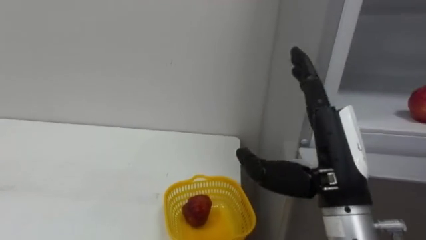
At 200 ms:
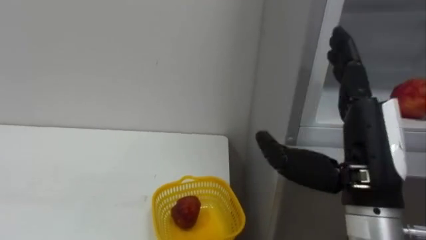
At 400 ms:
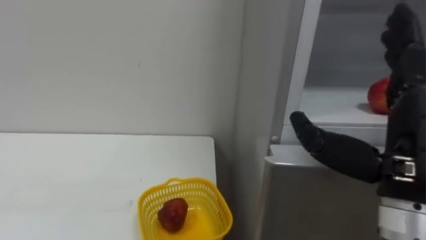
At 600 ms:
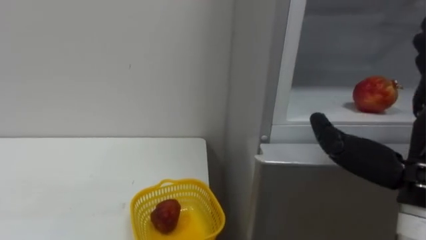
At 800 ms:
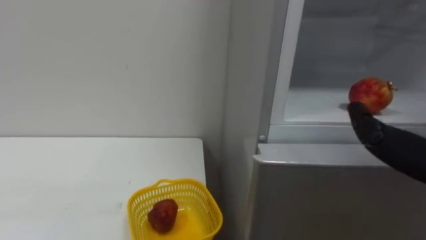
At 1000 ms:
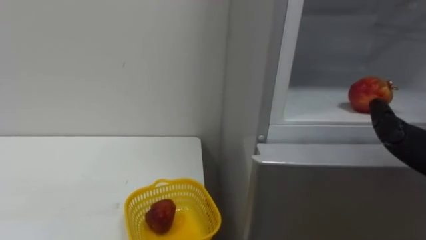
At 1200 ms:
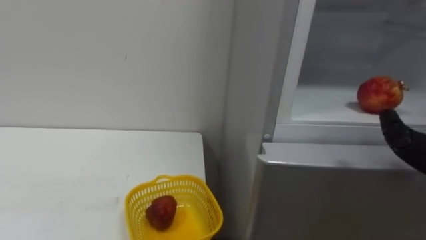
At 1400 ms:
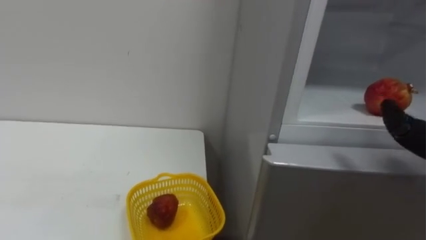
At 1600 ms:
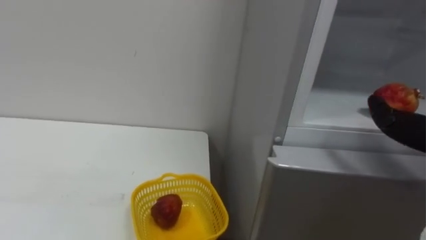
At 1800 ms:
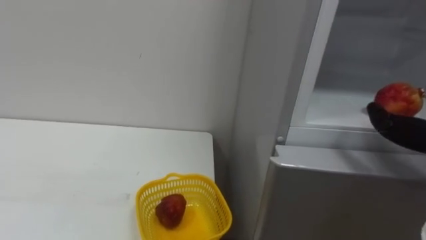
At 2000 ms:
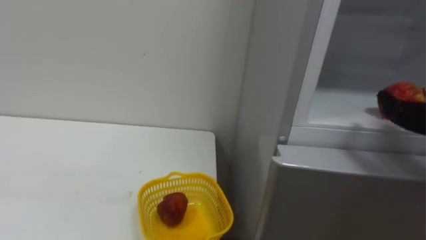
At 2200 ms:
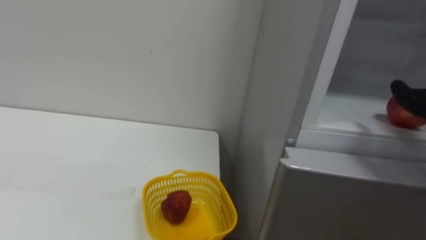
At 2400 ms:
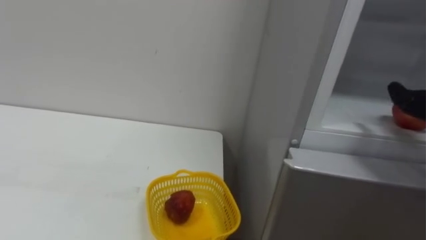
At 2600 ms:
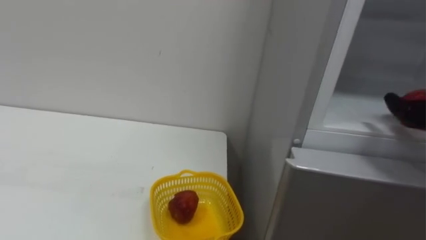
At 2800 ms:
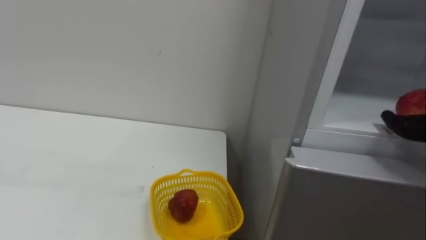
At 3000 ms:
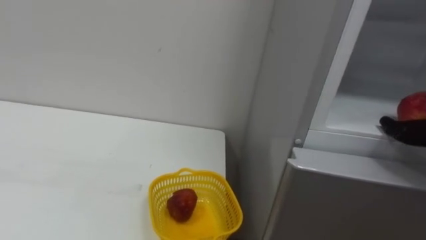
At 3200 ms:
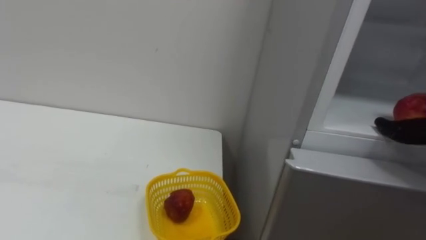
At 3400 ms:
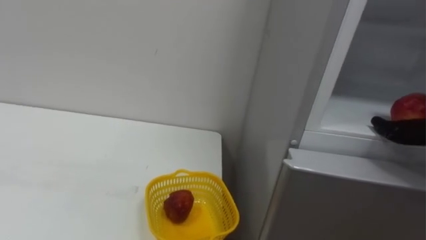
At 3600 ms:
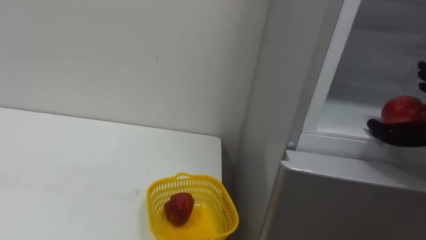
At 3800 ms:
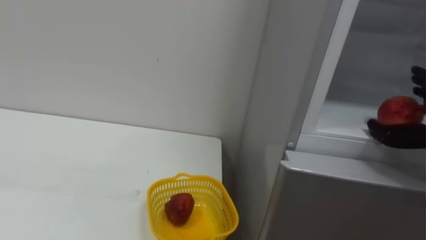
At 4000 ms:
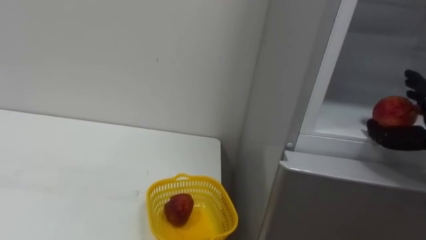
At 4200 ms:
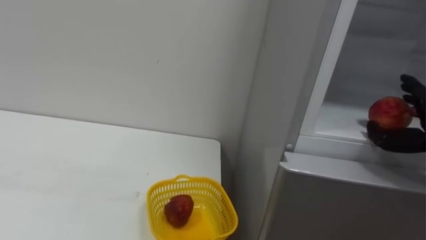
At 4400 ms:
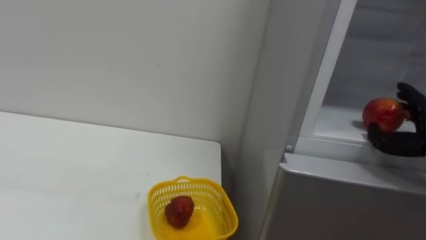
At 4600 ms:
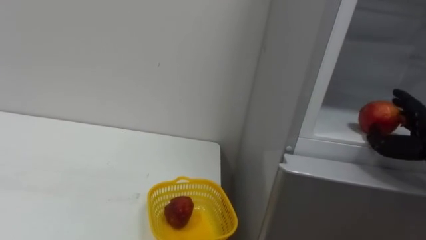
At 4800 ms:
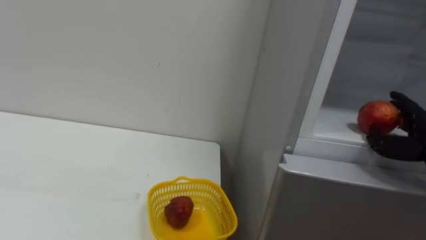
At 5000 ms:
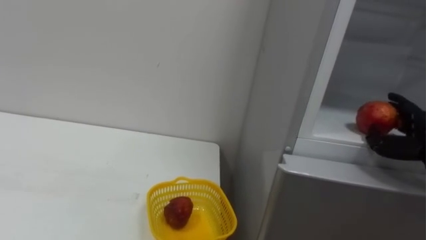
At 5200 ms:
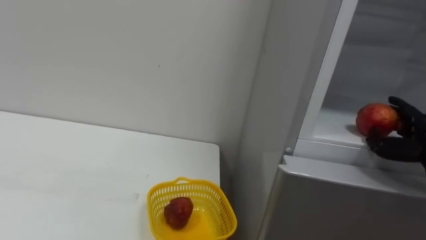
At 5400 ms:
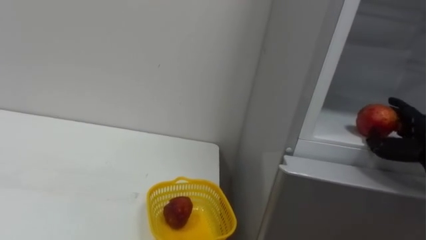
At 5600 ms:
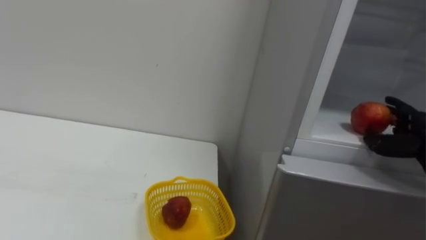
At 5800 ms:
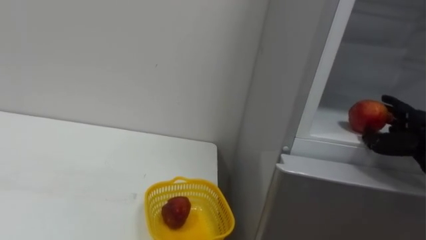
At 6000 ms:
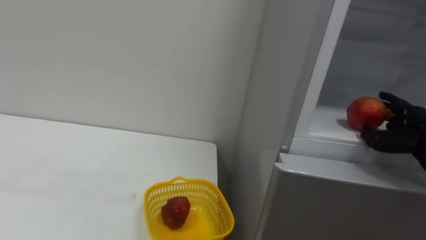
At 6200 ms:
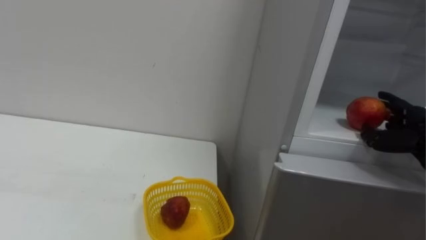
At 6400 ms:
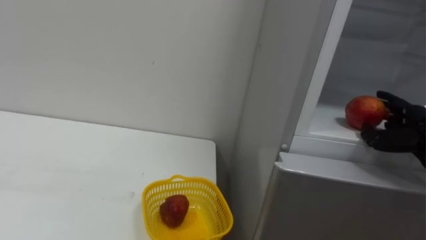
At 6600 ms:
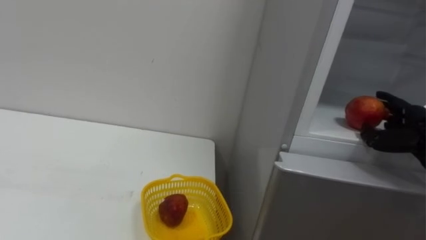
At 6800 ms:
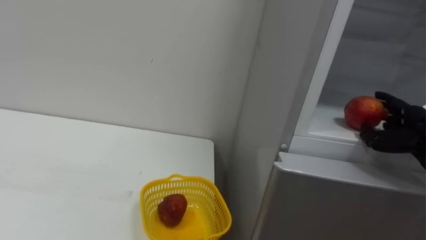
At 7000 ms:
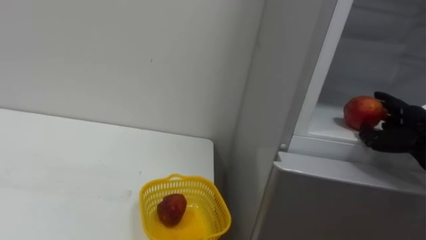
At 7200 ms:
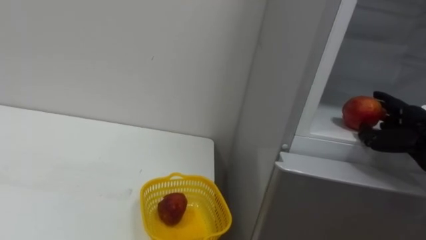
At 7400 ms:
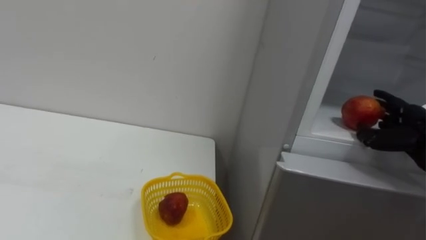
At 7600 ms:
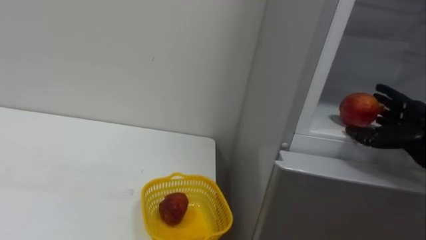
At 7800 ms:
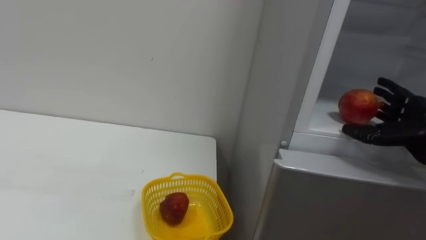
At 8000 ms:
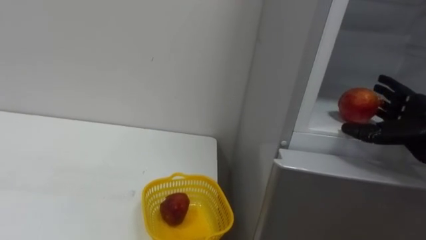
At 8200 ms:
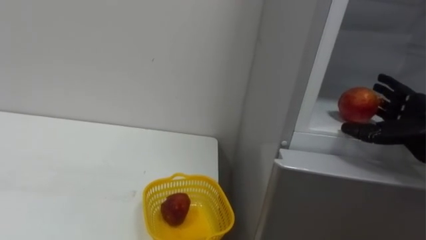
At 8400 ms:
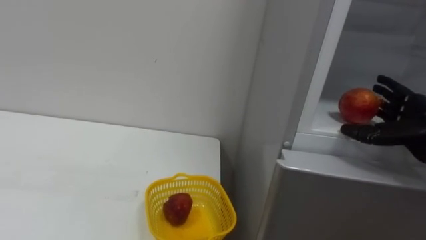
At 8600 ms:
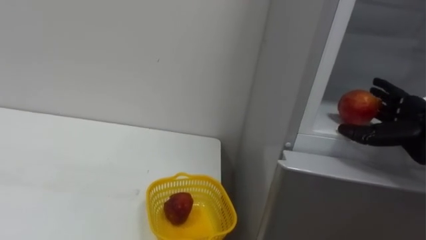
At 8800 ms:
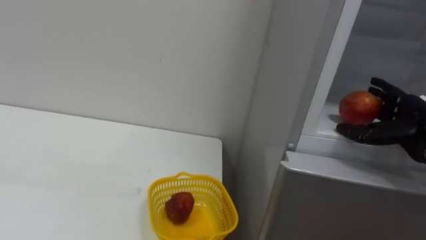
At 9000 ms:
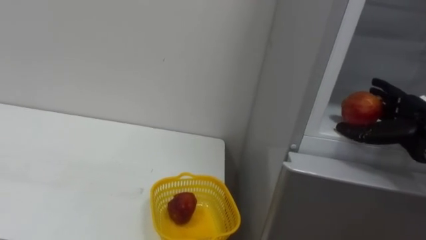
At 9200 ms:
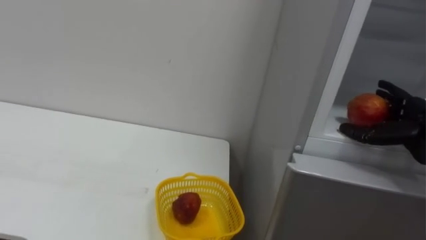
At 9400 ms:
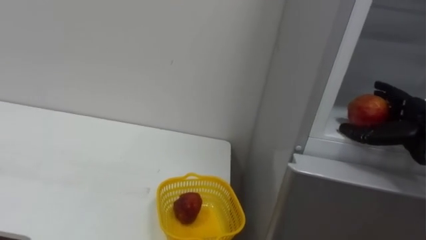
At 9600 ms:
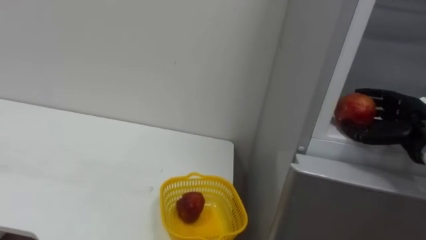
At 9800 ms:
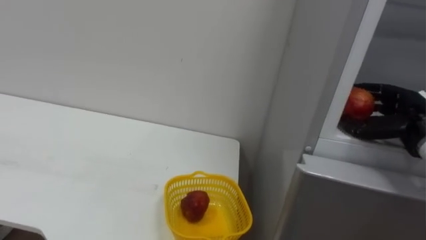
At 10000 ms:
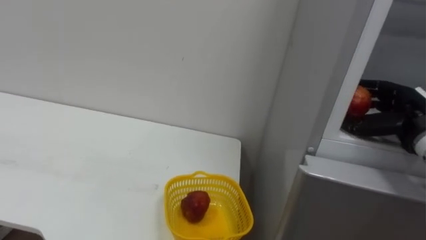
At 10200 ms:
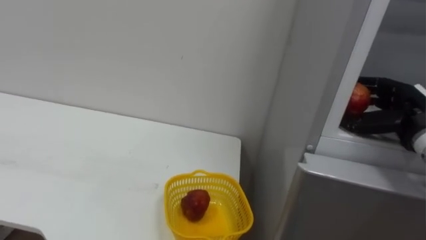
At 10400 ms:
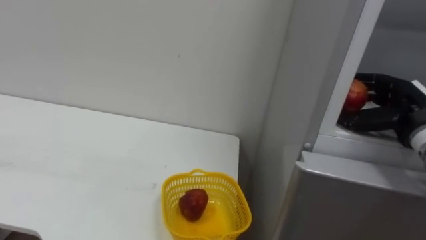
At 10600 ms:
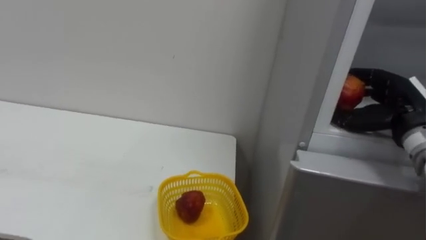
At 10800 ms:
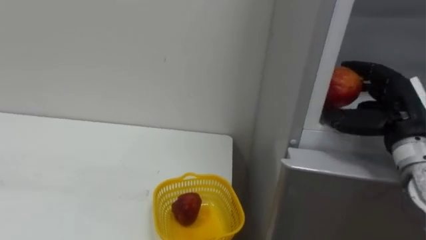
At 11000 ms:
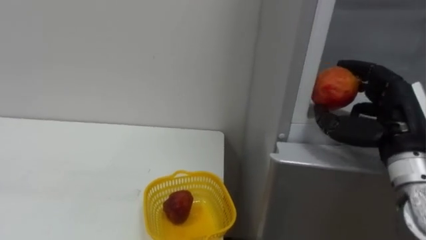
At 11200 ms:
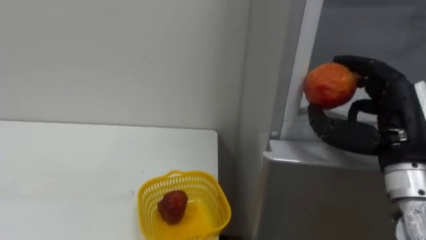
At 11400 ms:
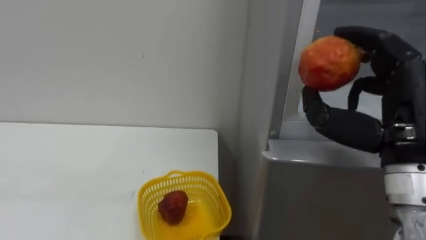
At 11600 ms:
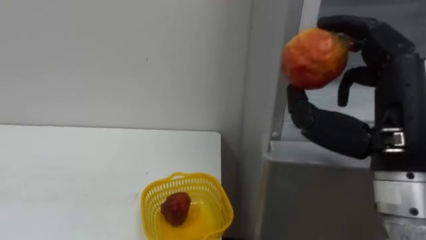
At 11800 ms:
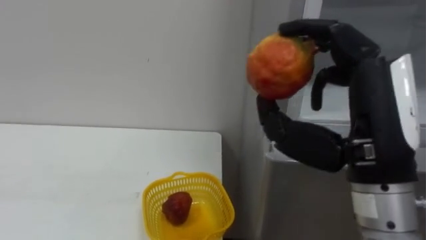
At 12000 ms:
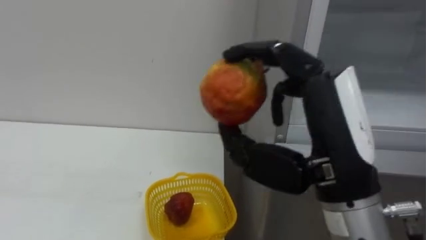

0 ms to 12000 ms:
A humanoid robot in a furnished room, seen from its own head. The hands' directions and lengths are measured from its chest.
Task of the whole recording: Open the refrigerator door, take out the apple and the pomegranate, place them in the fruit basket on the left, and close the refrigerator door.
9000 ms to 10400 ms: The right hand closes up.
10400 ms to 12000 ms: The right hand is displaced to the left, backward and upward by about 25 cm.

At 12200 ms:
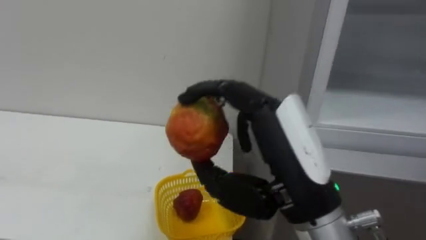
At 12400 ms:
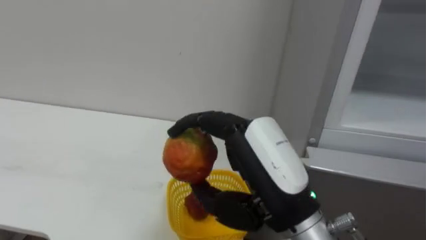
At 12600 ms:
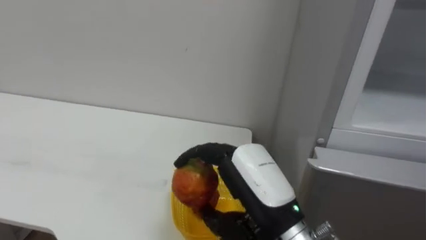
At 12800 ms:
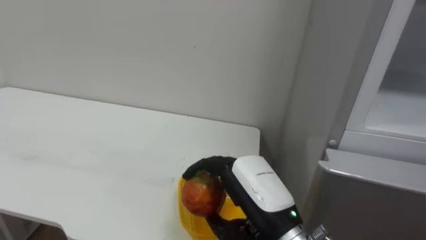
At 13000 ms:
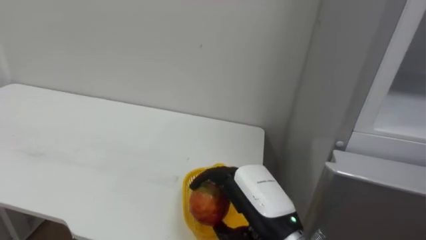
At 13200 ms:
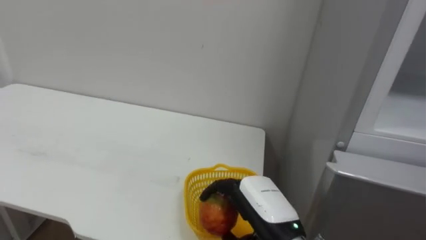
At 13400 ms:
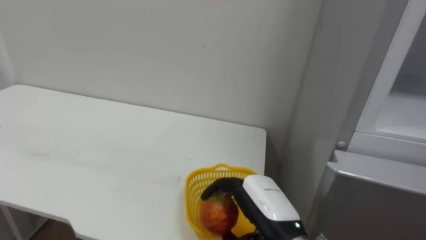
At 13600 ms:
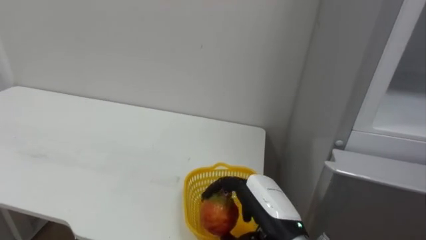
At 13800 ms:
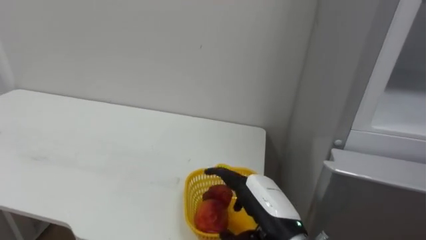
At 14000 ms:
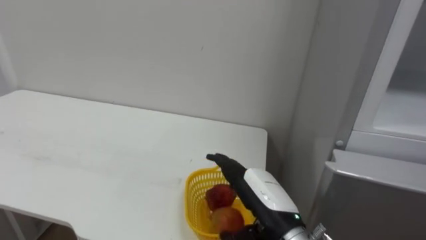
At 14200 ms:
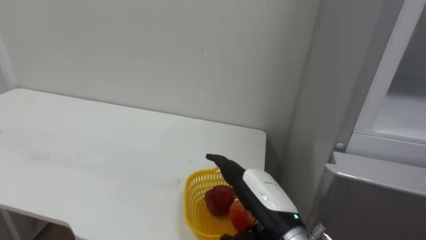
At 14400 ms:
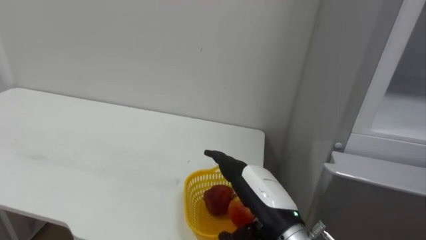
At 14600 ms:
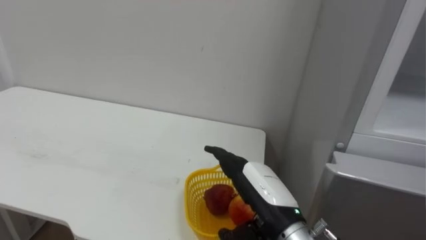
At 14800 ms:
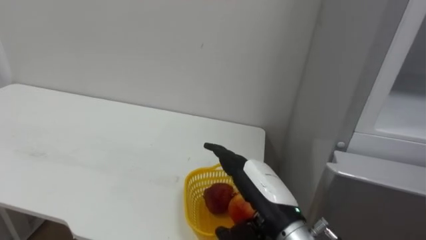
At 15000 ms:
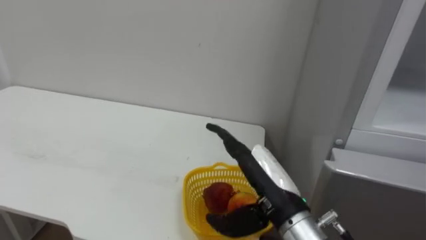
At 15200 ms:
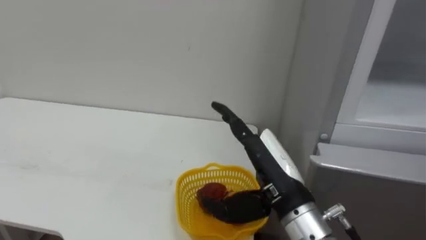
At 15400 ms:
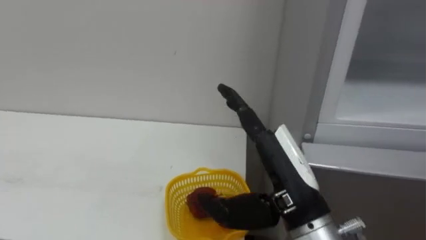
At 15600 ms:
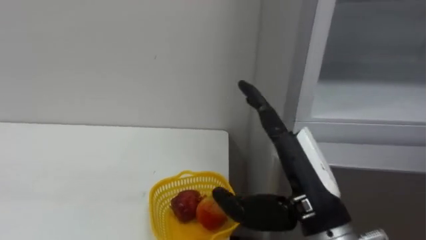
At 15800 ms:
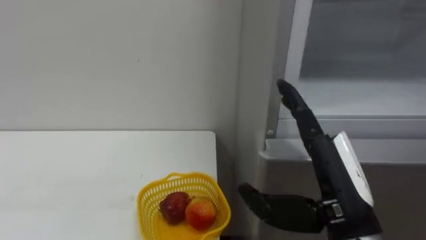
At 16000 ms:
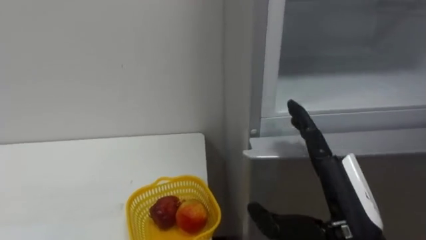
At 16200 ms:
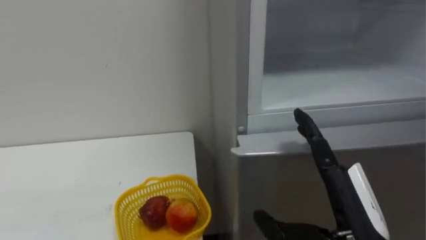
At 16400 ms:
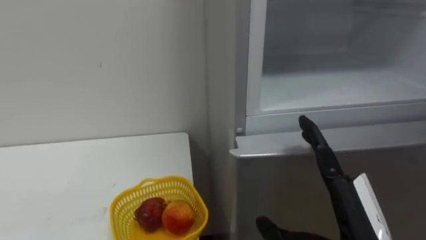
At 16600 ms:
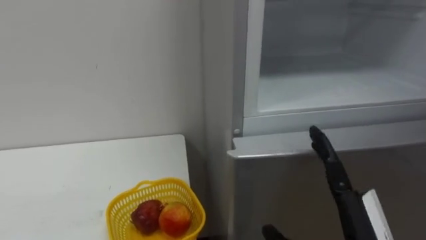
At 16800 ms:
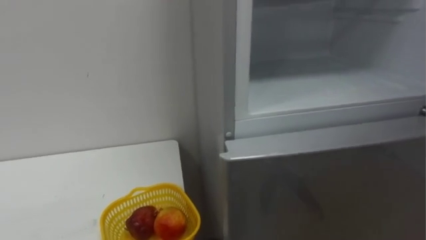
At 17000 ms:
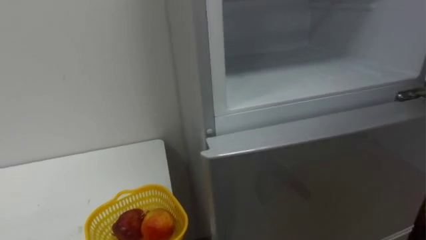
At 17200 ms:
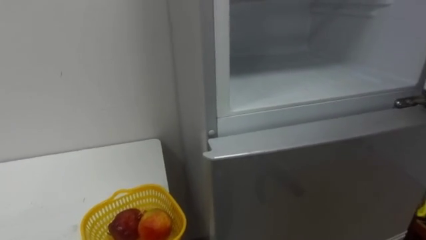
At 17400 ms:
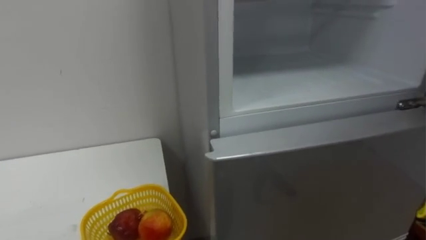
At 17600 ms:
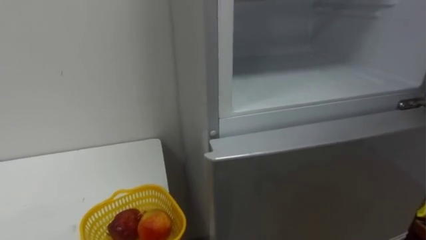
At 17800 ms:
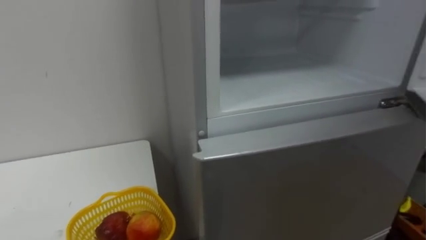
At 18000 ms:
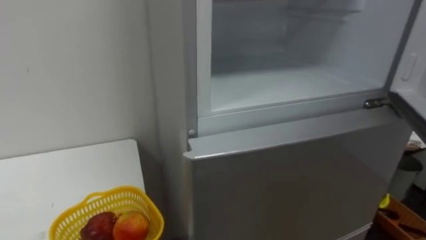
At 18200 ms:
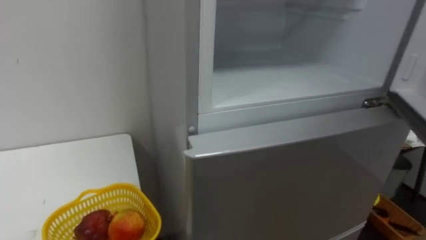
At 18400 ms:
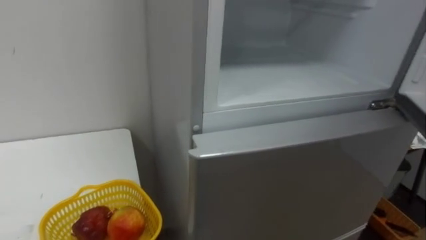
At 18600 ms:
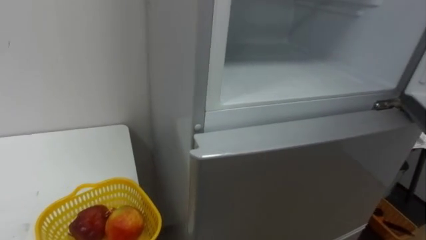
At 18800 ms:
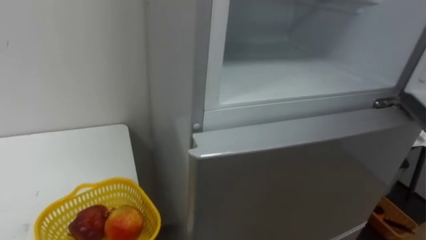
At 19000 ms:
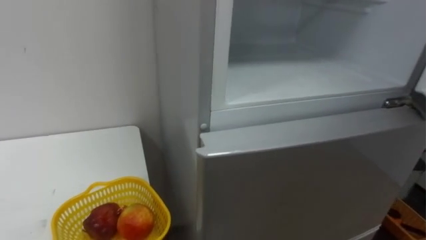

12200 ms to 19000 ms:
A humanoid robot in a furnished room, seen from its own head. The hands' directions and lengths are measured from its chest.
Task of the whole recording: Open the refrigerator door, take out the apple and the pomegranate, place them in the fruit basket on the left, and close the refrigerator door.
12200 ms to 13600 ms: The right hand travels downward by approximately 15 cm.
13600 ms to 15000 ms: The right hand opens its fingers.
15000 ms to 16200 ms: The right hand heads to the right and backward, covering roughly 10 cm.
